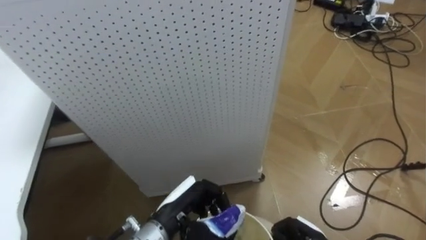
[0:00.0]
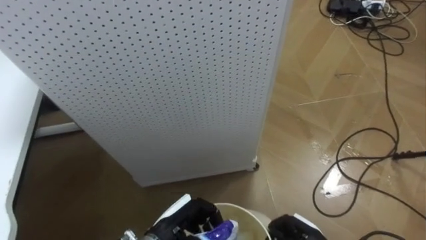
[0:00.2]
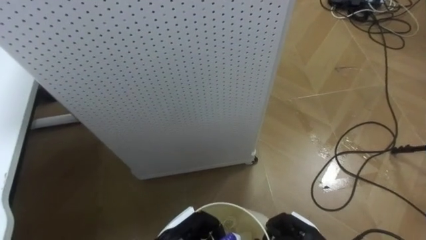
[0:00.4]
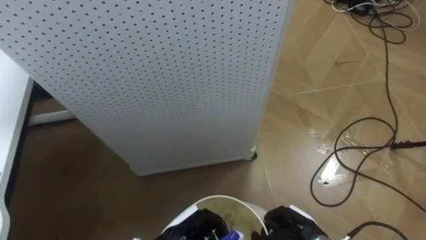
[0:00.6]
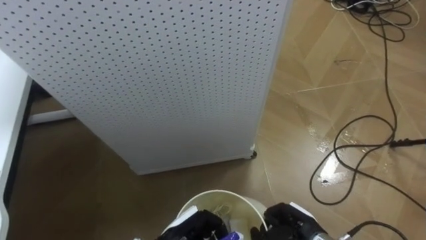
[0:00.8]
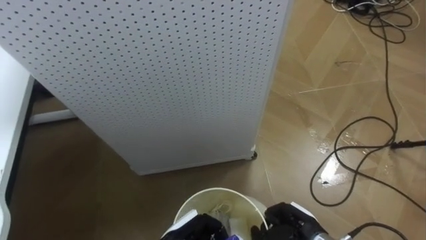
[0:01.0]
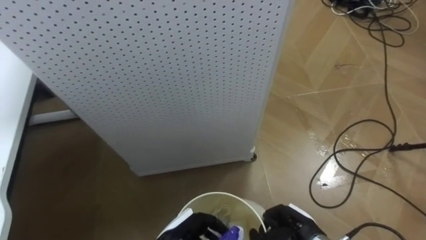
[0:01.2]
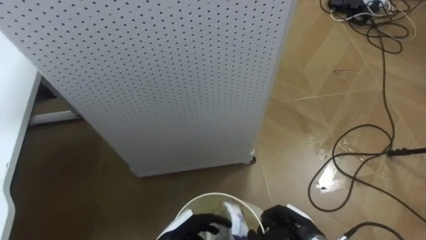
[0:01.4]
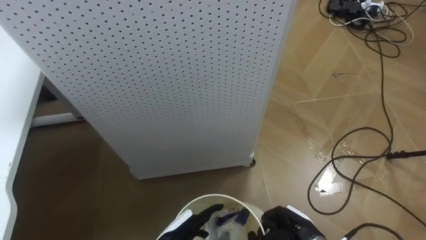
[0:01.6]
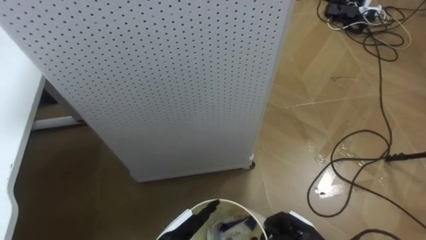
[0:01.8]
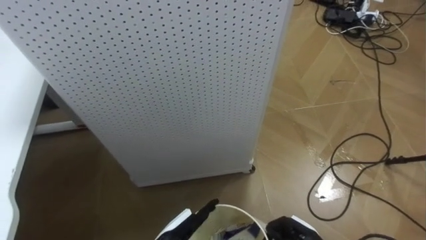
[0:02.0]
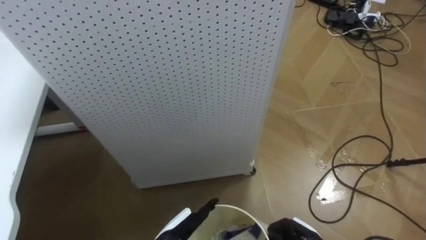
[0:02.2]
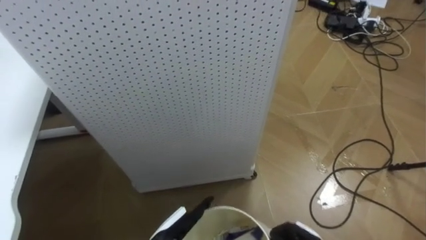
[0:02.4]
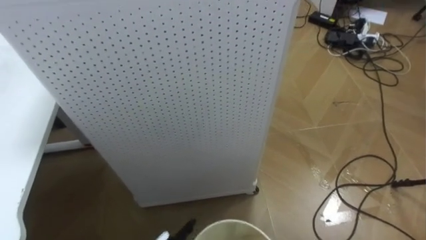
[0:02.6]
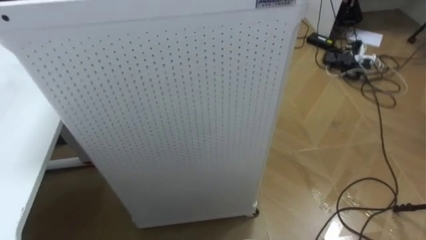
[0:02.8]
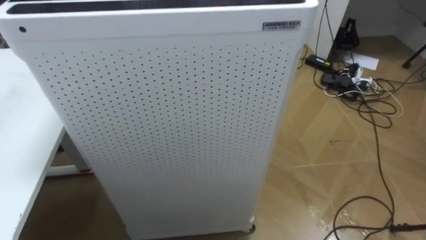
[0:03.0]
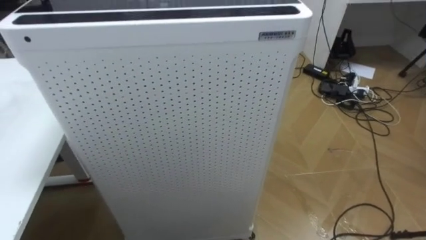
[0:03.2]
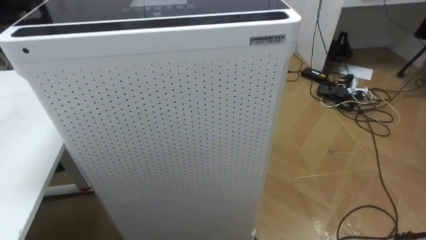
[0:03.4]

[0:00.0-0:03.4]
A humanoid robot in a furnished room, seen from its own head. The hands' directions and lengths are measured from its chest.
Task of the whole recording: Pick up the light blue package, the candy box, and the dark blue package separately, and put them into the trash can held in your right hand.
0:00.0 to 0:01.6: The left hand heads downward, covering some 5 cm, and opens its fingers.

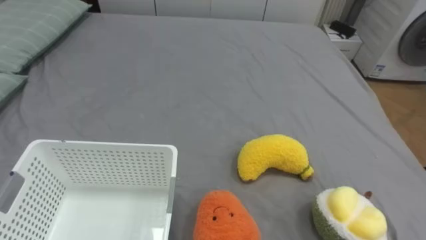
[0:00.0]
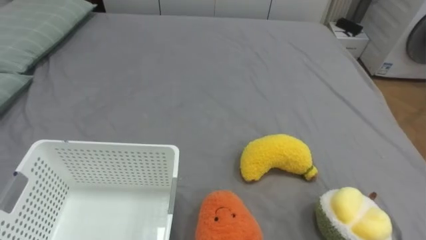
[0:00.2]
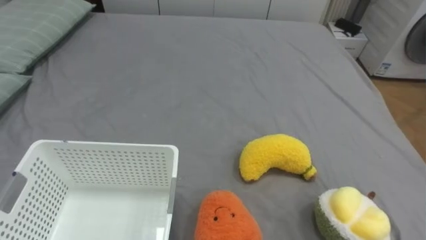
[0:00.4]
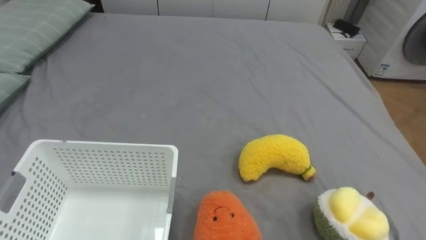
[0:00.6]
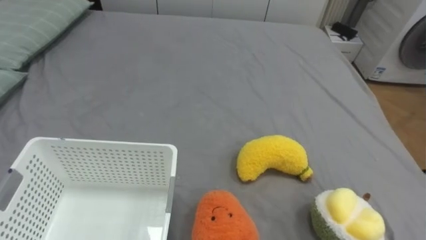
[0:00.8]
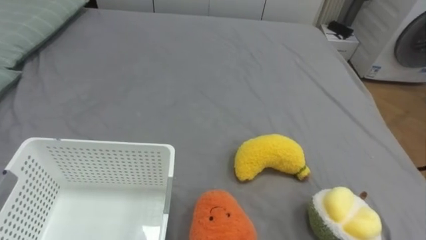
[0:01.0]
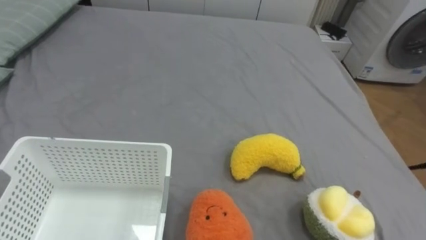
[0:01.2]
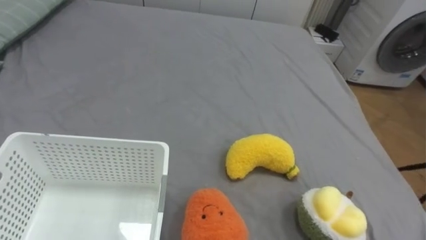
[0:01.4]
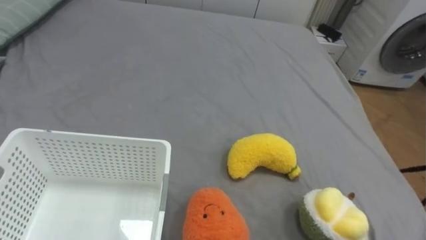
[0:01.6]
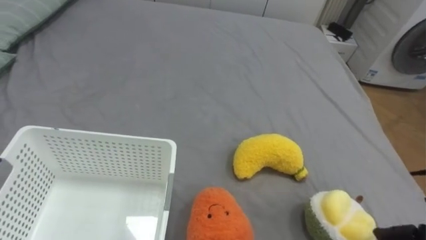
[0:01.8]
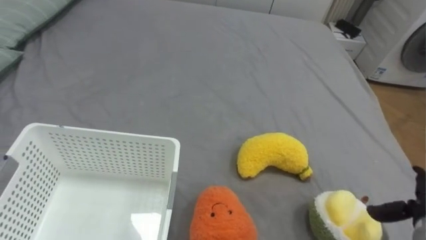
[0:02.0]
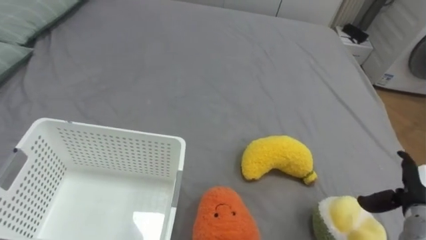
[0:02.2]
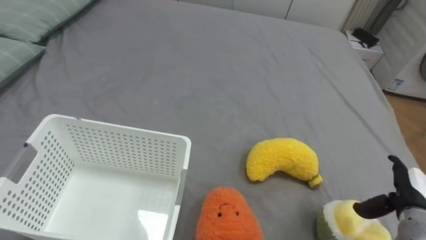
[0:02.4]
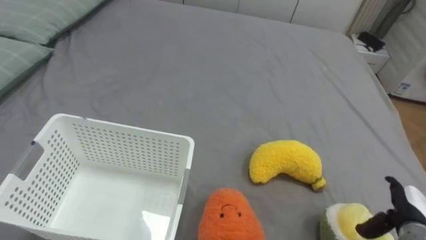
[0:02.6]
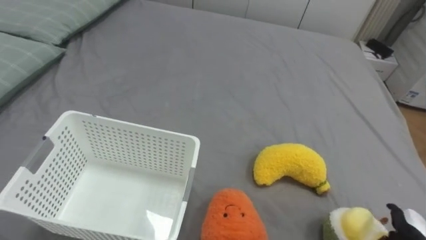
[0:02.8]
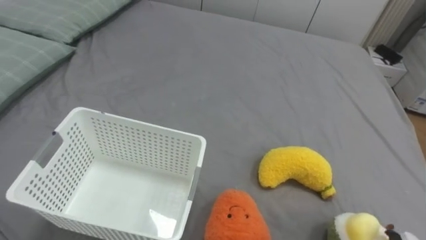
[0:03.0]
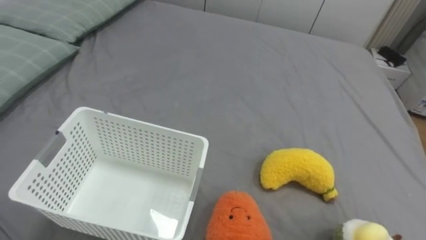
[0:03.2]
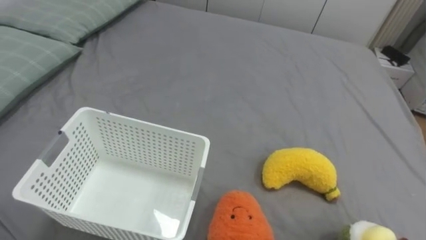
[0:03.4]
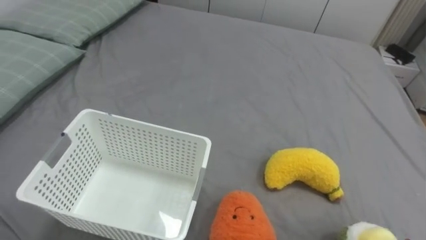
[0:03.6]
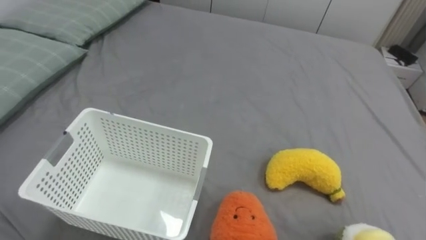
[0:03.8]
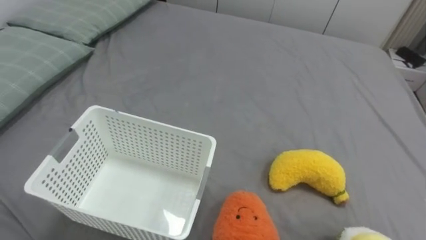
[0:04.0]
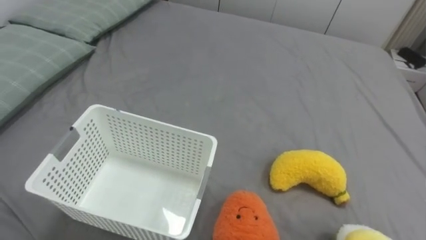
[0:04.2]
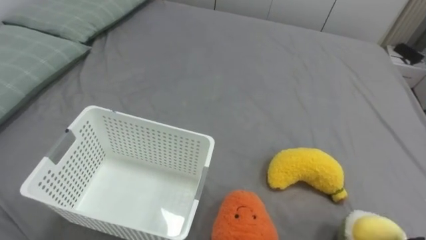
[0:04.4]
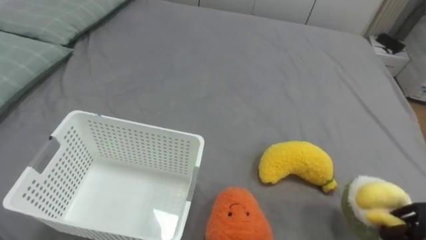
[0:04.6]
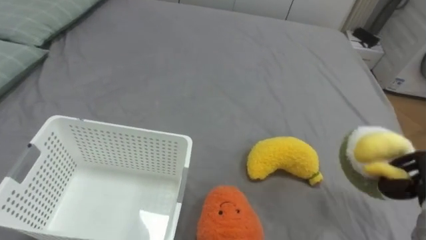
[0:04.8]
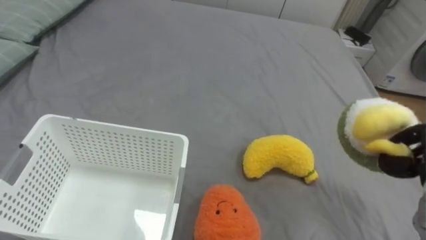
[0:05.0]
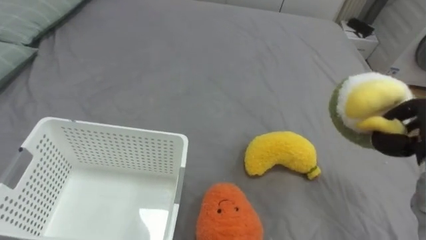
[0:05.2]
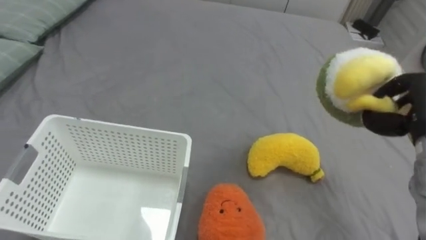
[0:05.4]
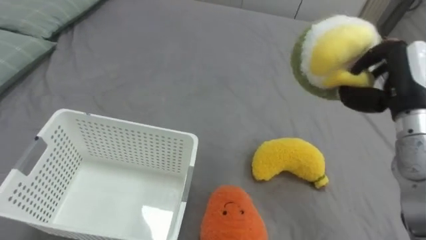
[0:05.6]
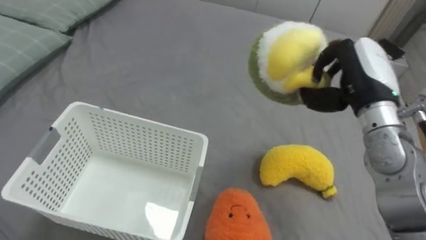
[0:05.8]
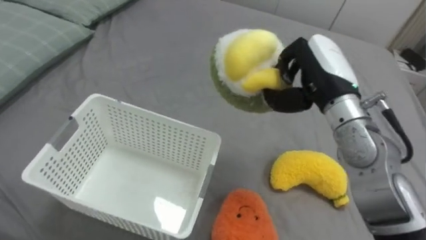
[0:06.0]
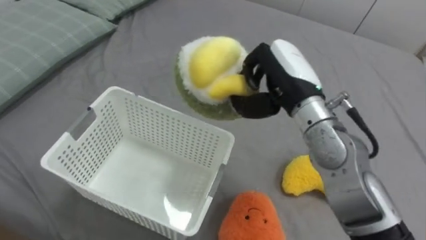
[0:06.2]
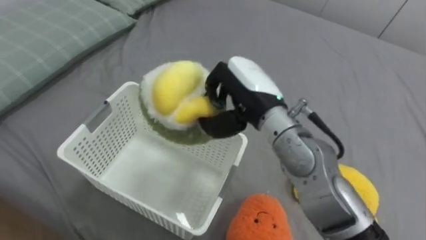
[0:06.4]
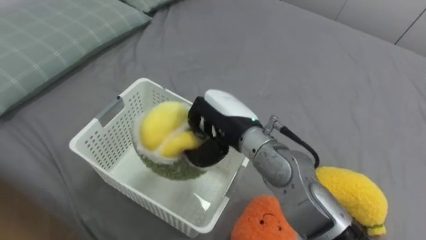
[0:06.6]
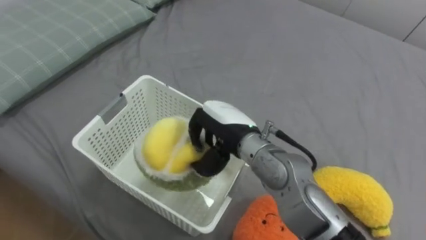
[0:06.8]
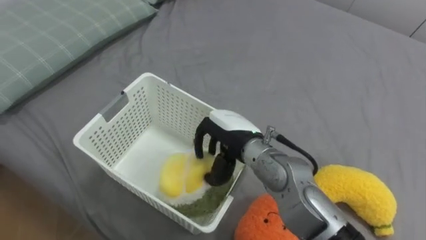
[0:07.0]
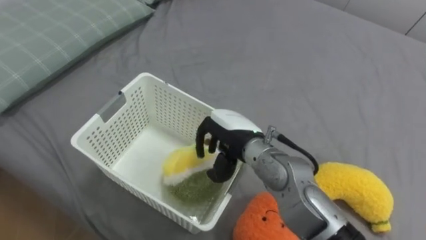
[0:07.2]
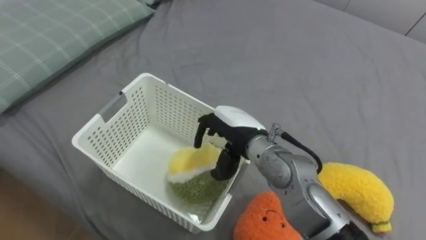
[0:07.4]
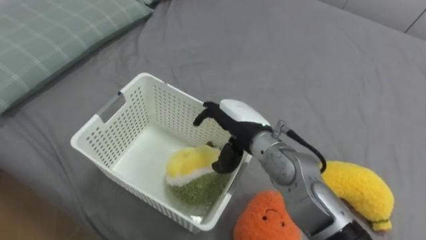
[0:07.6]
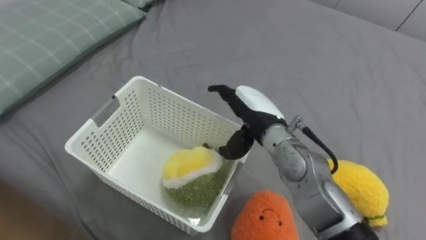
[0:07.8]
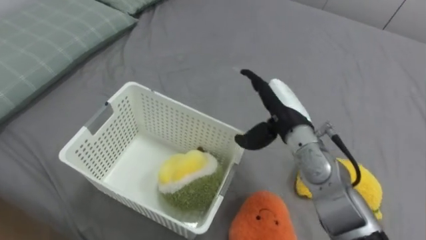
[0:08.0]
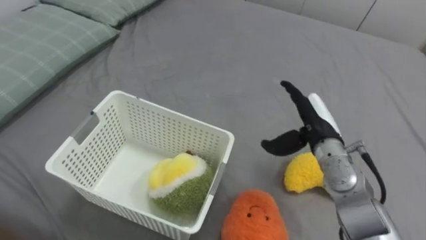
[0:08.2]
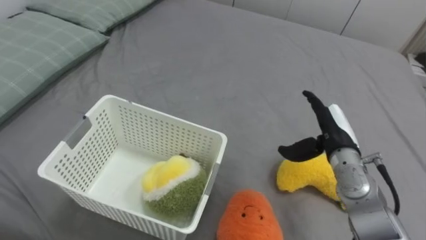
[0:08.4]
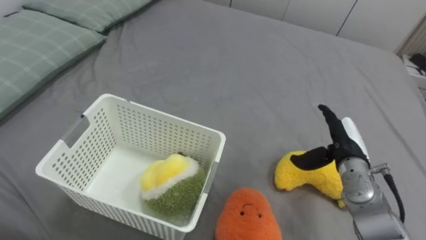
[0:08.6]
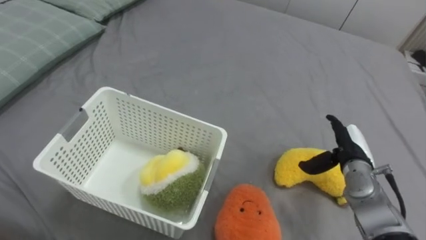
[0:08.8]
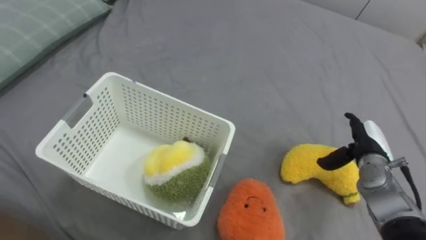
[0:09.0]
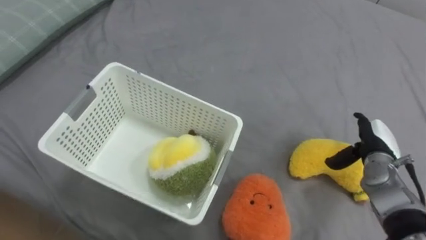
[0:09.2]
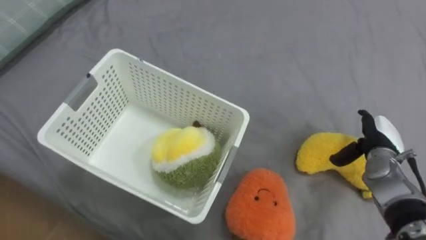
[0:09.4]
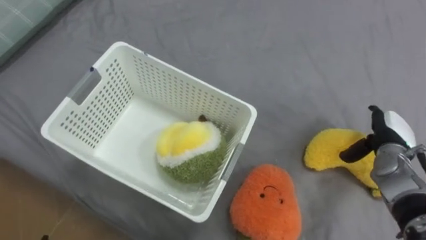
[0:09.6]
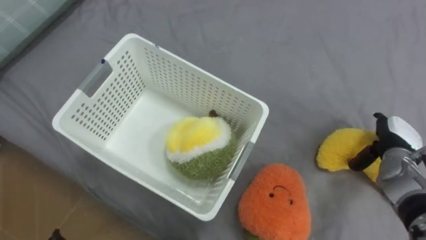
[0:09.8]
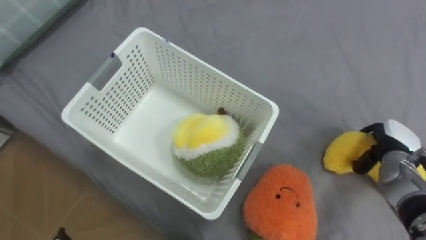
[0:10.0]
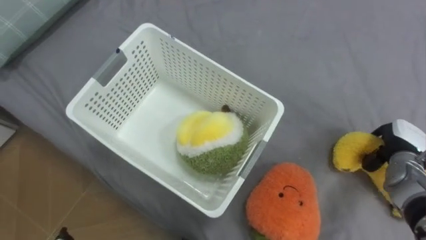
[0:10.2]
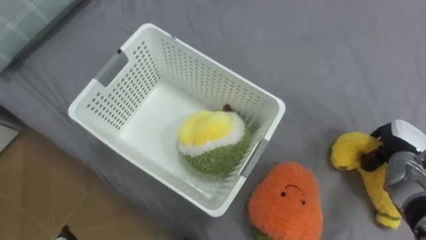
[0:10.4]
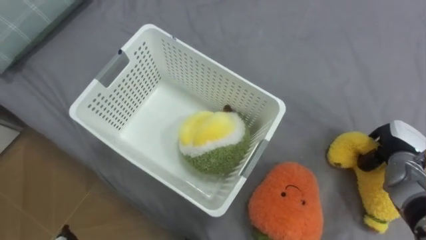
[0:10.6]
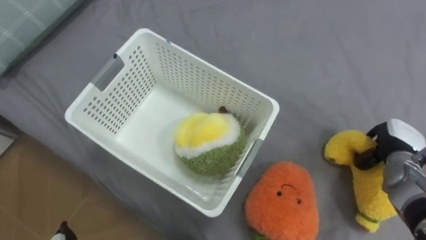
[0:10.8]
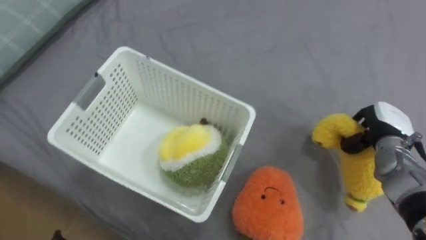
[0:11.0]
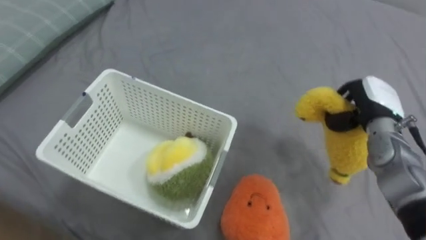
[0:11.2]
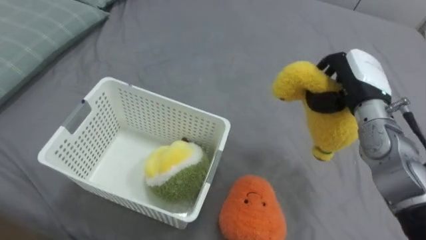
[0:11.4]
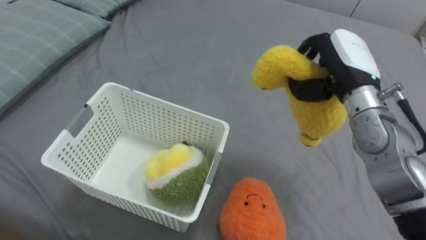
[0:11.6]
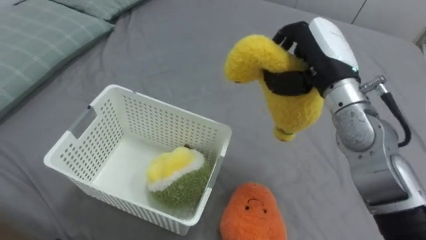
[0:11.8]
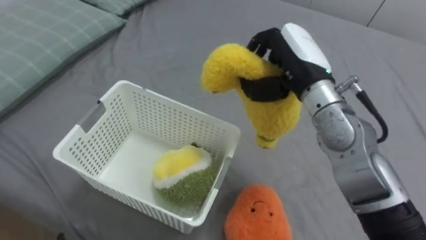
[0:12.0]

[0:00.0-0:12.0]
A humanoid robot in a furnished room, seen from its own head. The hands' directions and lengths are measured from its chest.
Task of the whole recording: Put the toys on the bed into the basket on the left.
0:06.0 to 0:07.6: The right hand heads to the left and downward, covering some 15 cm, and opens.
0:07.6 to 0:09.0: The right hand is displaced to the right by approximately 25 cm.
0:09.0 to 0:10.4: The right hand moves to the right, approximately 5 cm, and closes its fingers.
0:10.4 to 0:12.0: The right hand goes about 30 cm to the left and upward.

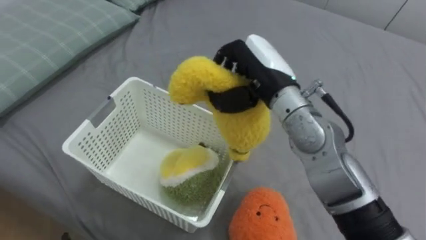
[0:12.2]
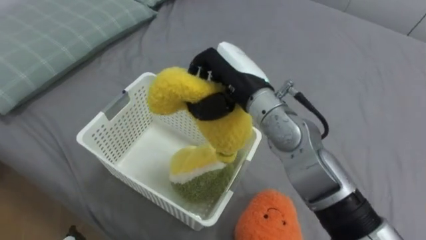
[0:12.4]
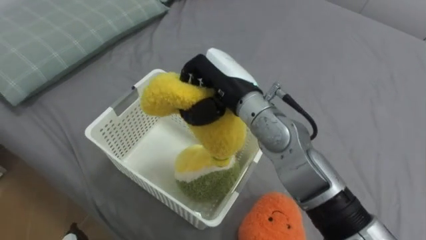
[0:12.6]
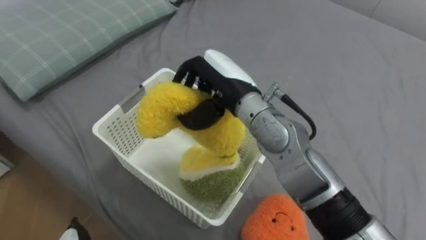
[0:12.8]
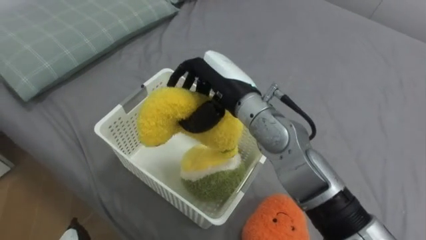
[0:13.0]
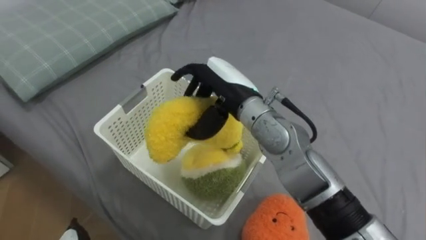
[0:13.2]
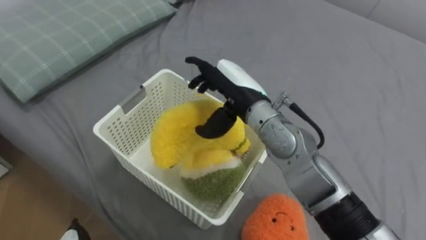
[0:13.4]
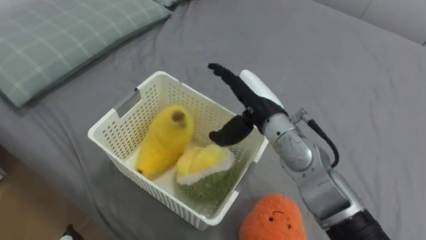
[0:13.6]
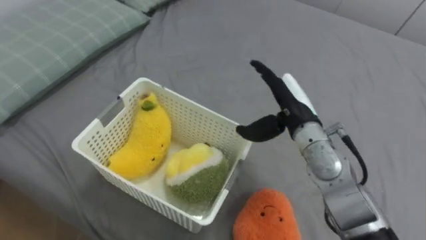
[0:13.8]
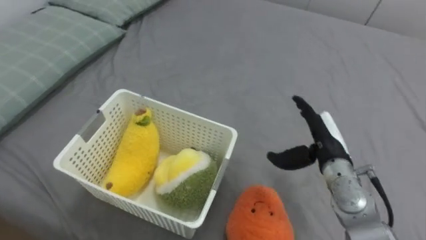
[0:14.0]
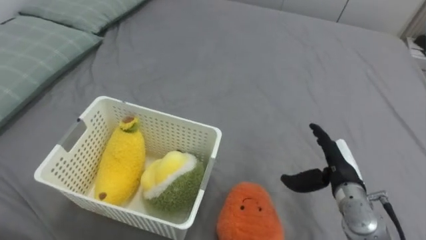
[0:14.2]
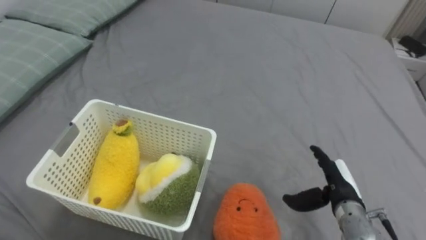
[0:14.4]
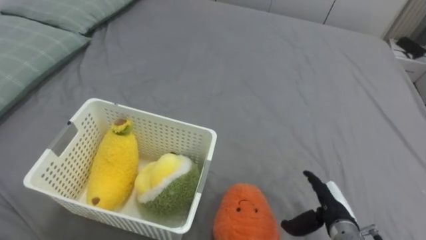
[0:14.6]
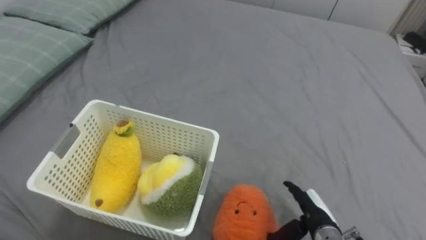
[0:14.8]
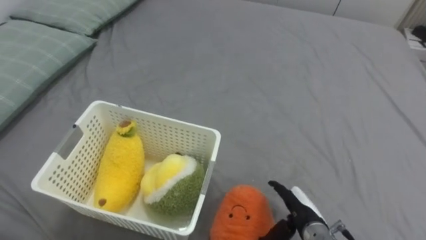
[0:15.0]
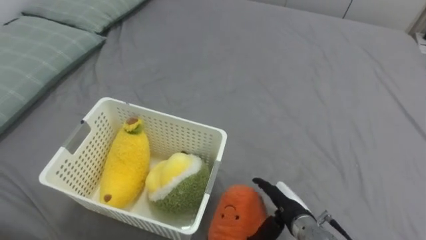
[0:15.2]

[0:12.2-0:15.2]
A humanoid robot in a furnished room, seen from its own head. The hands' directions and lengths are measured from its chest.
Task of the whole recording: Put the toys on the bed into the basket on the left.
0:12.2 to 0:13.8: The right hand goes some 10 cm downward and to the right, and opens its fingers.
0:13.8 to 0:15.2: The right hand moves downward and backward, approximately 20 cm.
